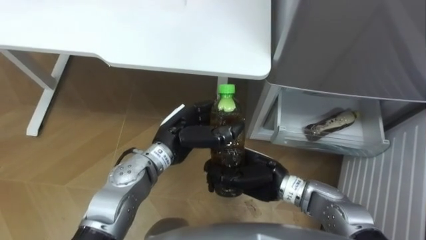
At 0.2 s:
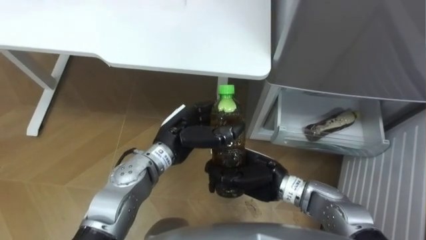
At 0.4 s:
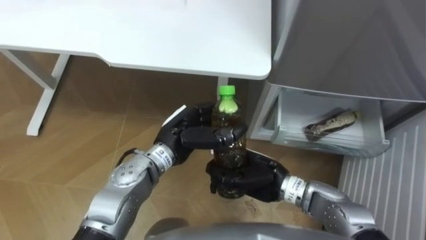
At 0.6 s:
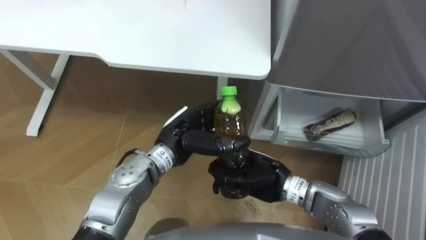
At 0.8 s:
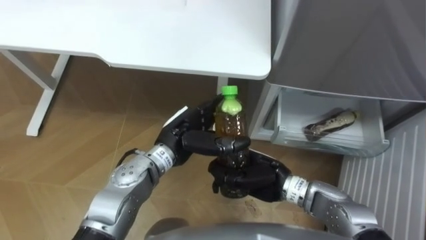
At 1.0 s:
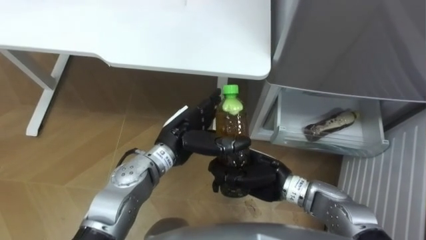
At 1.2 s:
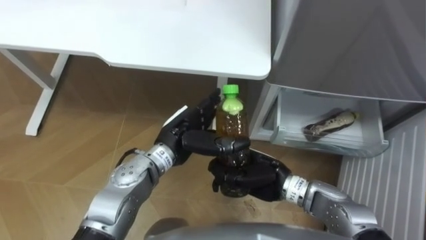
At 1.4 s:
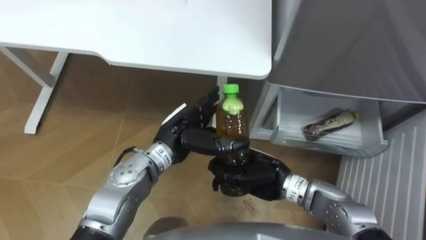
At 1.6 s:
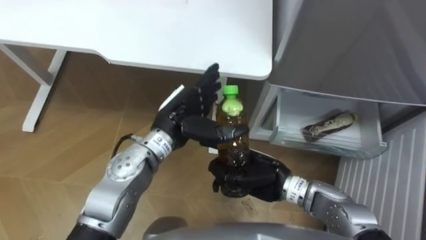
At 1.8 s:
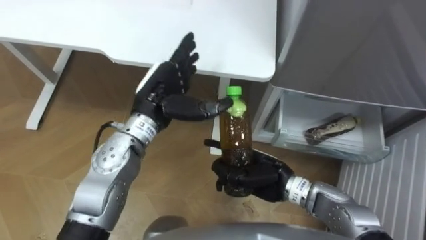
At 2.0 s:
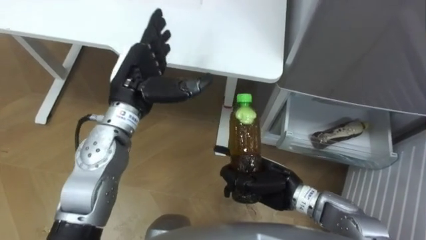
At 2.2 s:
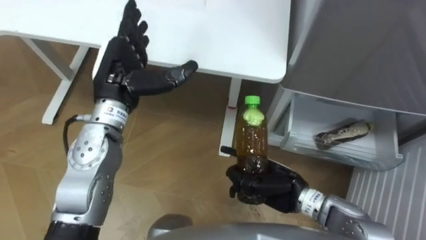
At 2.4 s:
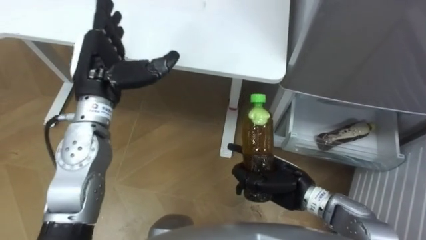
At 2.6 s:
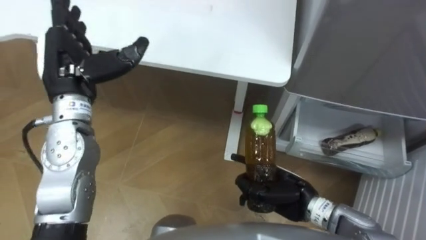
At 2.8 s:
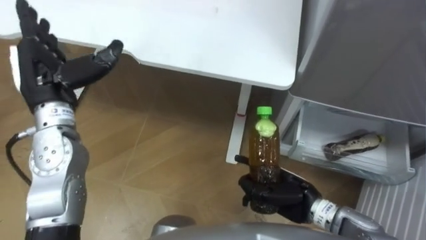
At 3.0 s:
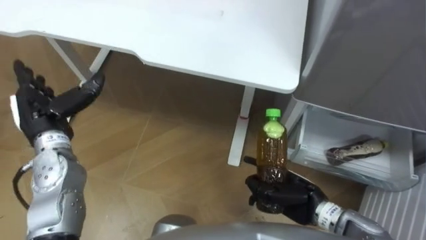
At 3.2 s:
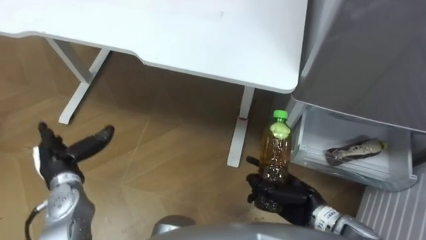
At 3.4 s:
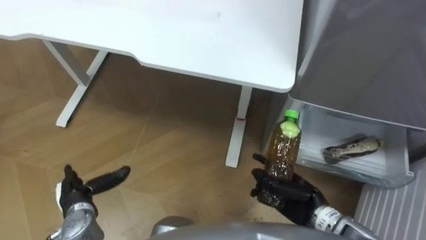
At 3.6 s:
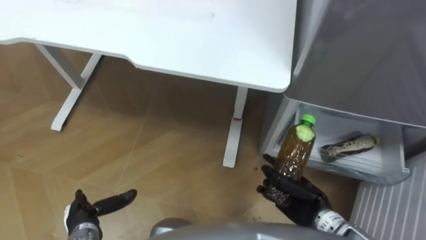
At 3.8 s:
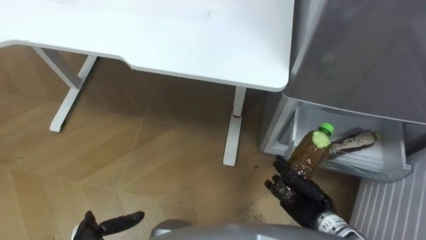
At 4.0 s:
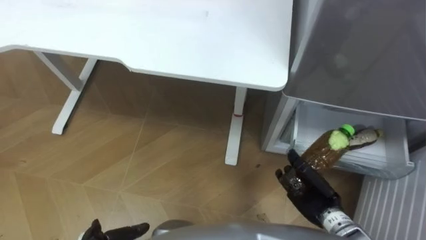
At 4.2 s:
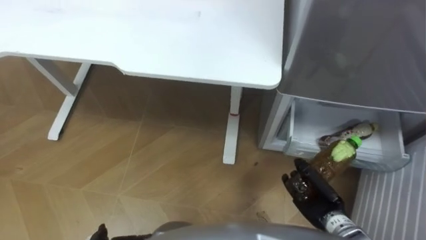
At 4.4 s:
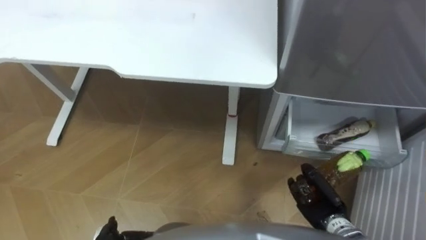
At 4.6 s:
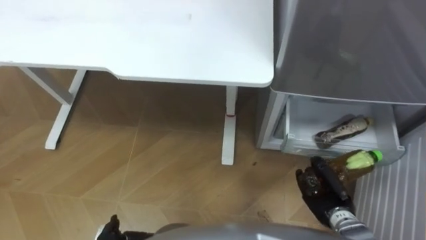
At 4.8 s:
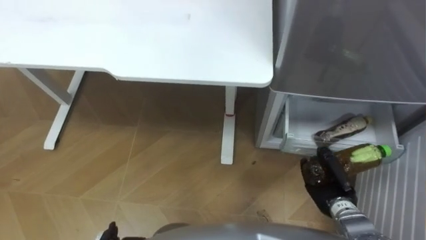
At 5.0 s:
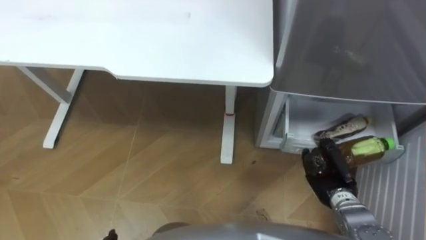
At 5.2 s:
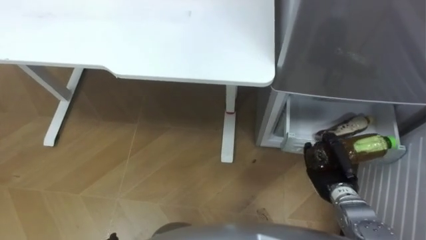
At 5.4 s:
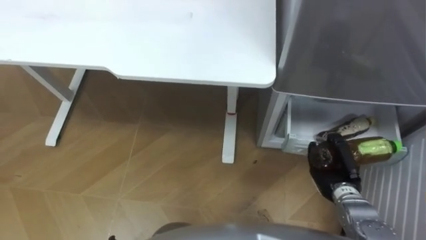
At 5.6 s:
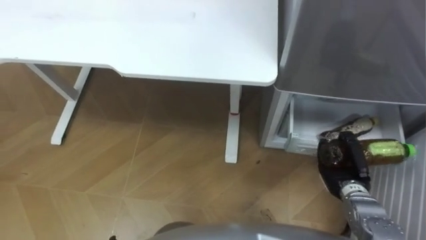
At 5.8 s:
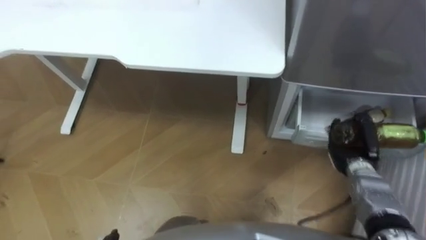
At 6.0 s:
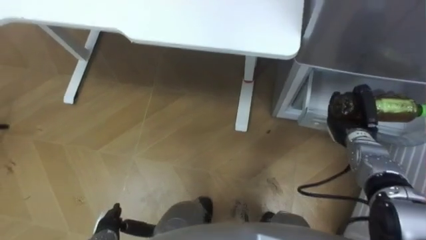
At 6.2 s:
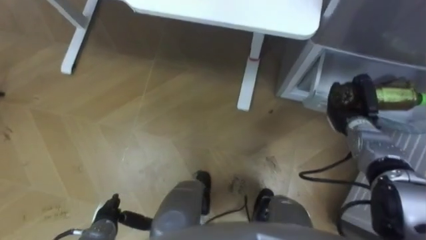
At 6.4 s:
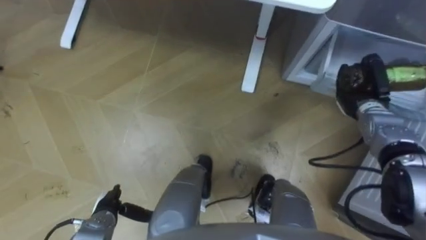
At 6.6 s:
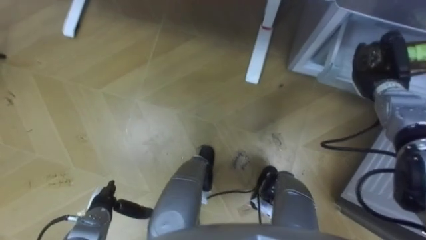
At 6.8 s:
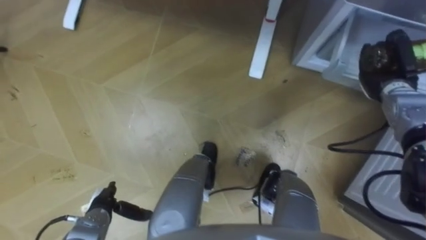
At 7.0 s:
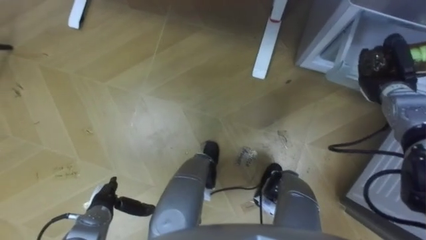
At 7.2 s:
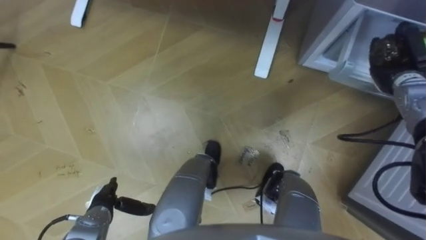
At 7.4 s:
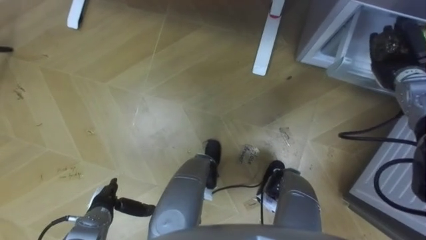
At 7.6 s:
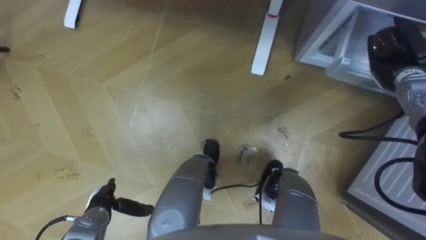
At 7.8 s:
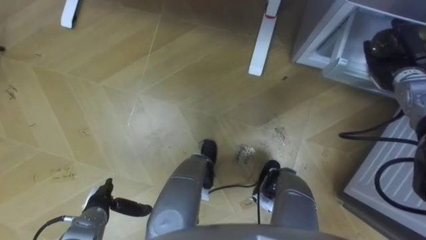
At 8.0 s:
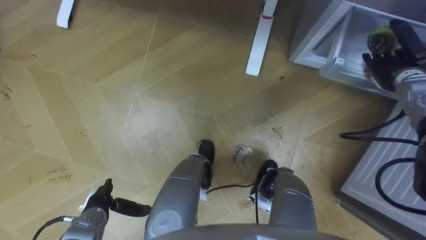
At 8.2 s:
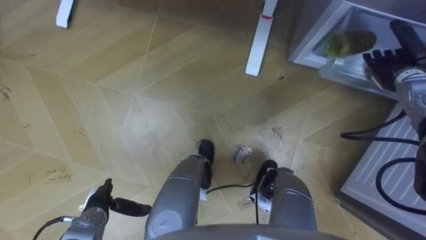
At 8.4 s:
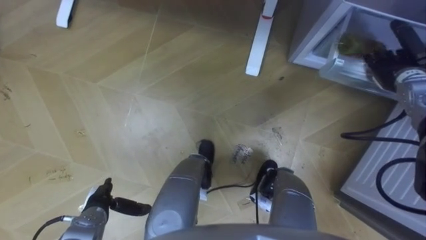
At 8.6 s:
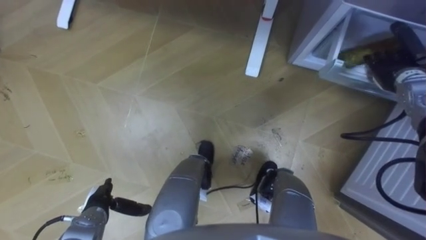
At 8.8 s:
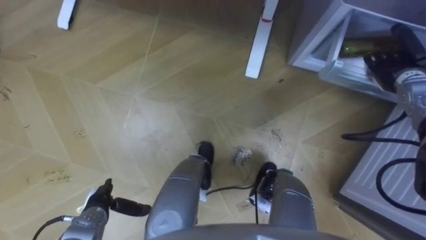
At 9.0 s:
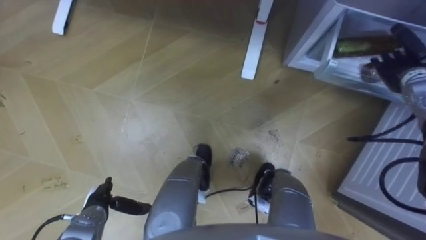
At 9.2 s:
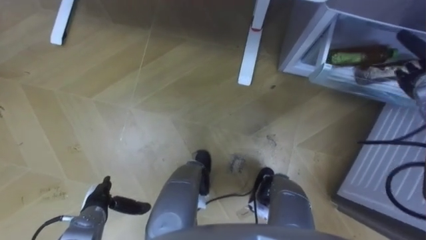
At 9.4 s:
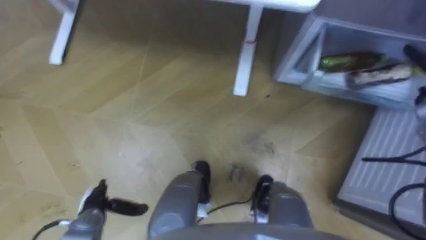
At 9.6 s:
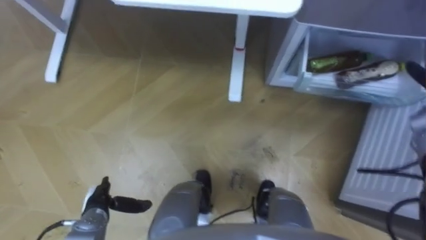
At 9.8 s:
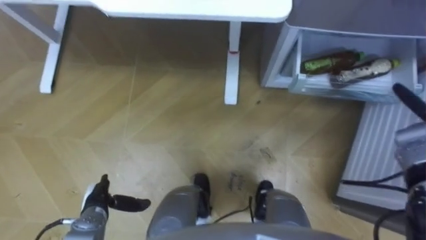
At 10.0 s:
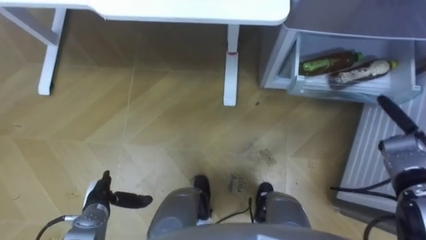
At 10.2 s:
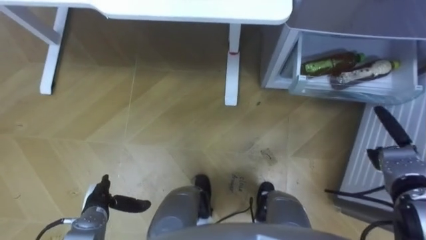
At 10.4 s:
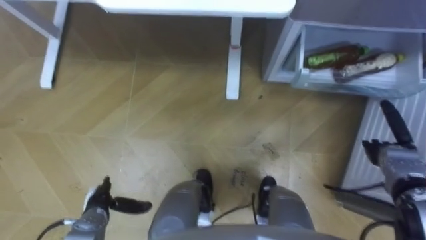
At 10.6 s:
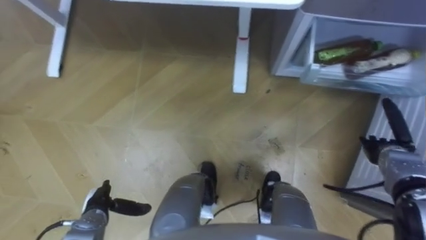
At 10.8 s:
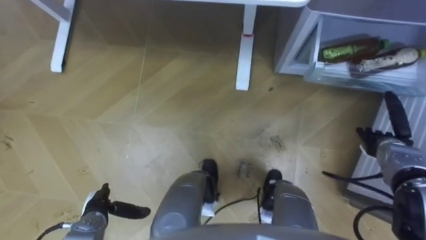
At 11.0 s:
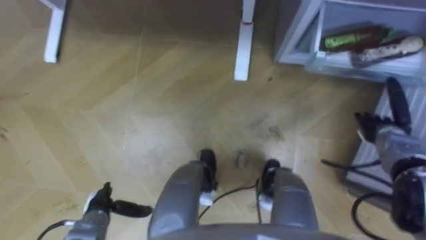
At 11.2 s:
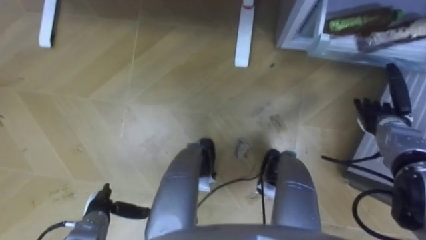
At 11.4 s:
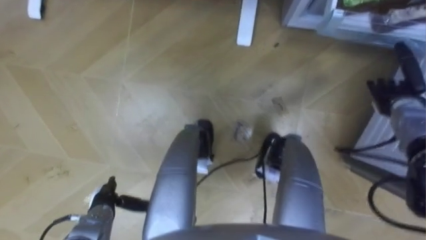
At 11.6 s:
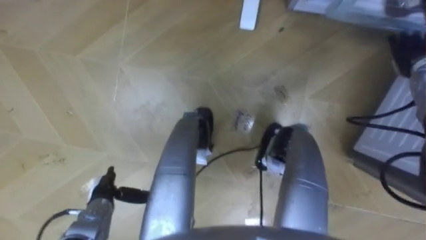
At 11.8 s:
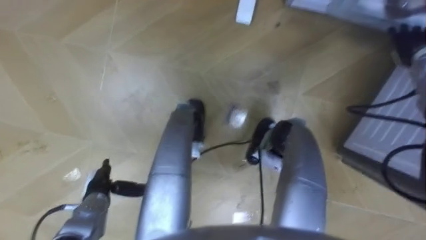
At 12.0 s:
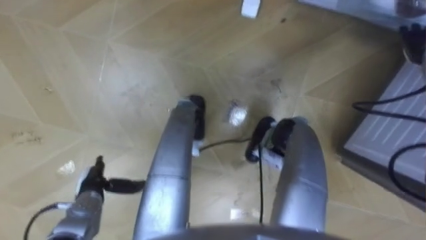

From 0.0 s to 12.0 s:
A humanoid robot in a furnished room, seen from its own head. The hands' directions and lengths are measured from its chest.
Task of the whole recording: Place the drink on the table on the bottom shelf of the refrigerator, then close the drawer and the refrigerator door.
From 0.0 s to 1.6 s: The left hand opens.
From 1.6 s to 3.0 s: The left hand goes approximately 25 cm to the left. The right hand travels to the right by approximately 10 cm.
From 3.0 s to 4.4 s: The right hand moves to the right and downward, approximately 10 cm.
From 4.4 s to 6.0 s: The right hand goes some 15 cm forward and to the right.
From 6.0 s to 7.6 s: The left hand heads forward, covering some 5 cm. Meanwhile the right hand goes roughly 15 cm upward, forward and to the right.
From 10.4 s to 12.0 s: The right hand travels upward and forward by about 25 cm.

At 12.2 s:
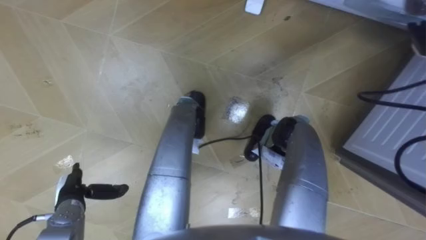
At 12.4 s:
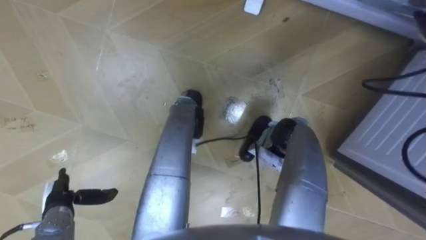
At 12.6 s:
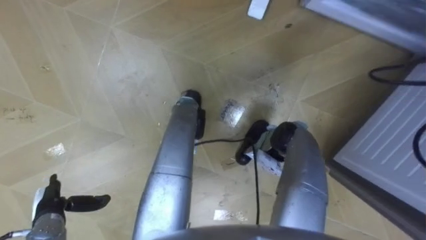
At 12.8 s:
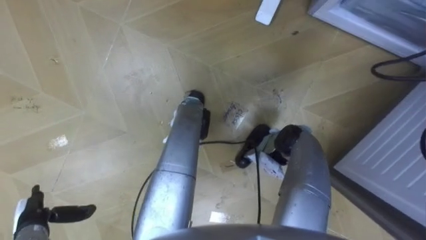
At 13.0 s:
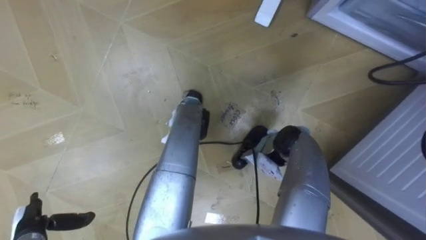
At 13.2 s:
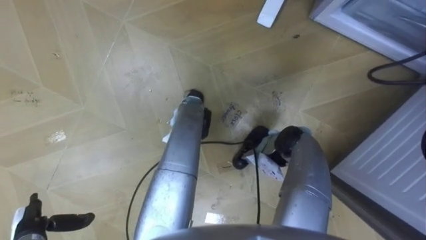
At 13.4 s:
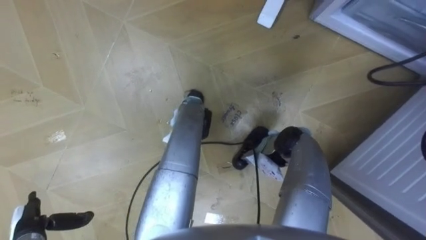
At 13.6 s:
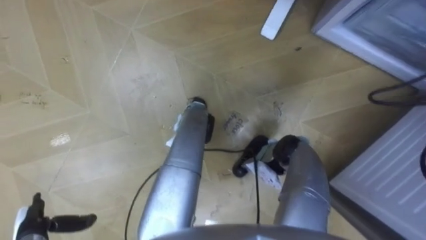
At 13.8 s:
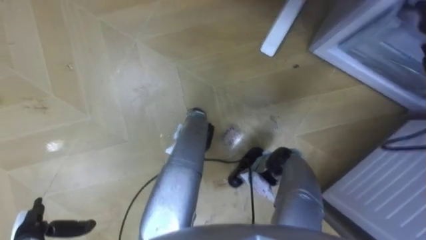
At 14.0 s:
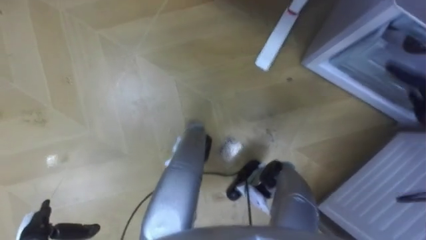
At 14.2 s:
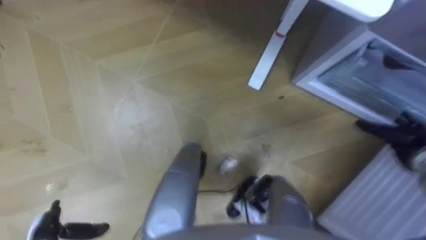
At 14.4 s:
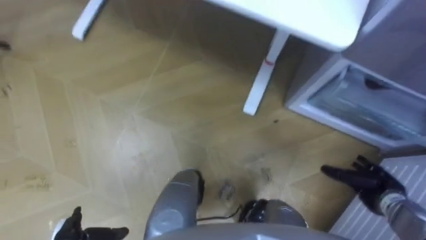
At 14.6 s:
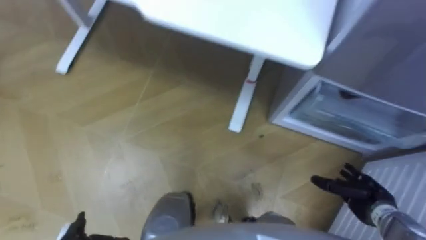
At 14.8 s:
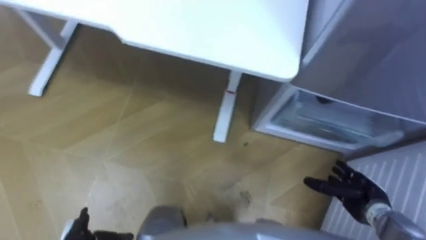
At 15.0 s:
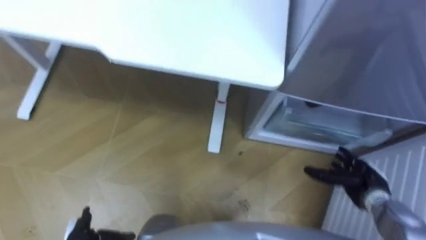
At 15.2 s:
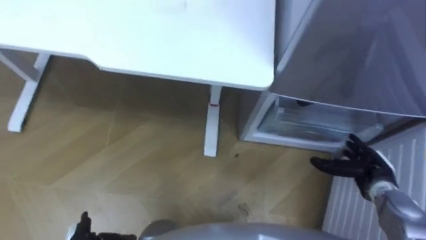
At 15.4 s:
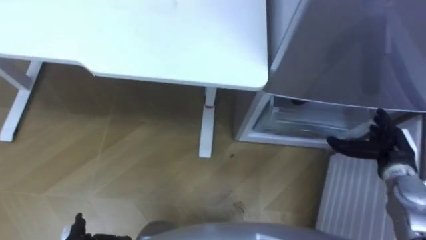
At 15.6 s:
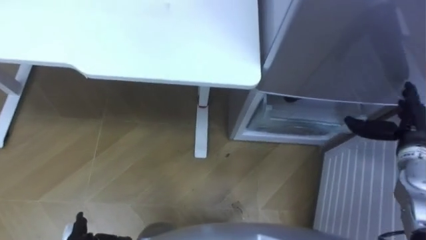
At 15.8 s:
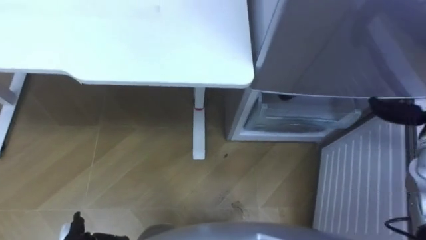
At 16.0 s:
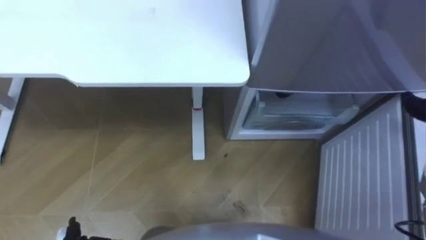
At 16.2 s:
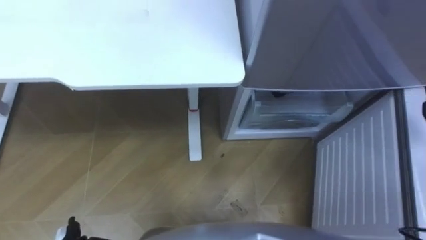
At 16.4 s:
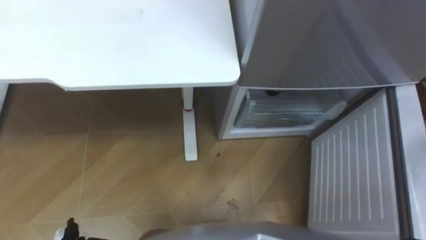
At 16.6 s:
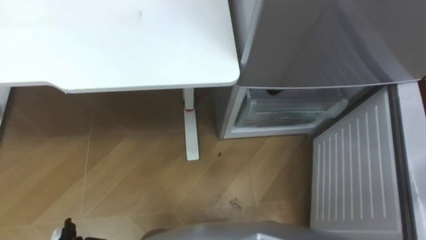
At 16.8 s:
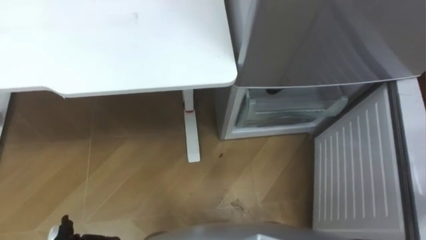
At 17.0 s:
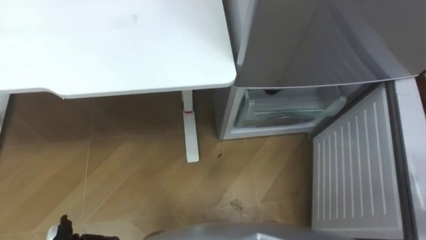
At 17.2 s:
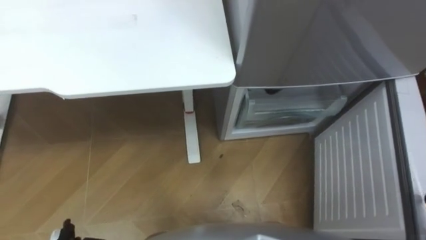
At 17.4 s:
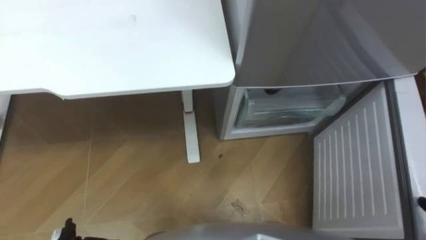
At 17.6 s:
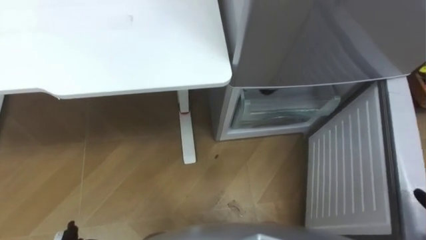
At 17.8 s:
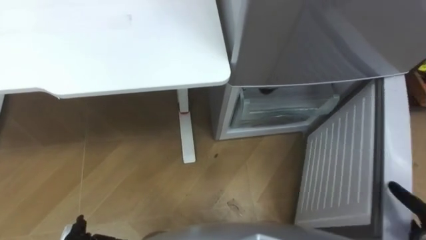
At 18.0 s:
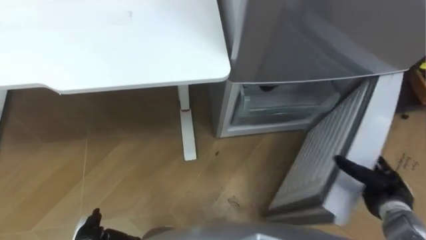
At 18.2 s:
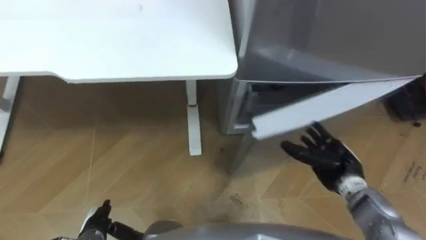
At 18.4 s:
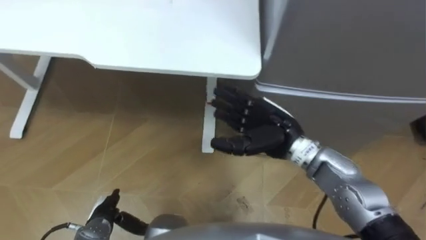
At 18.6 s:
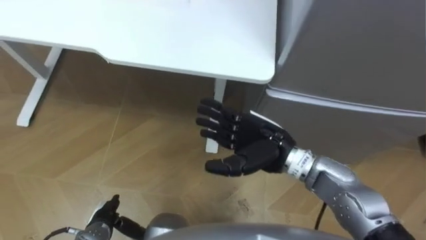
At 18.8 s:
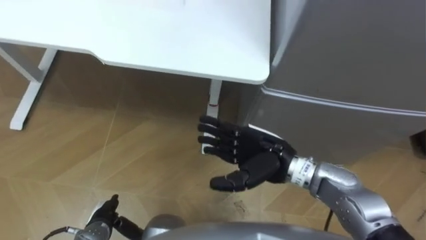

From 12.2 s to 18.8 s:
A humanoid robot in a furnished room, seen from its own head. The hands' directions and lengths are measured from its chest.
Task of the whole recording: Place the drink on the table on the bottom shelf of the refrigerator, then close the drawer and the refrigerator door.
From 12.2 s to 13.8 s: The left hand heads backward and to the left, covering approximately 10 cm.
